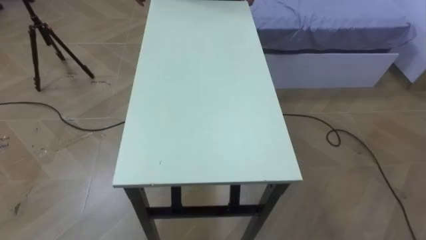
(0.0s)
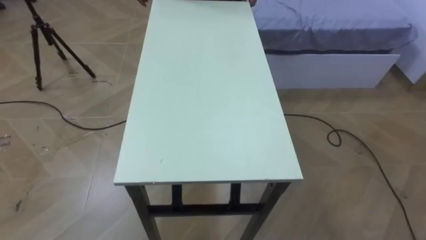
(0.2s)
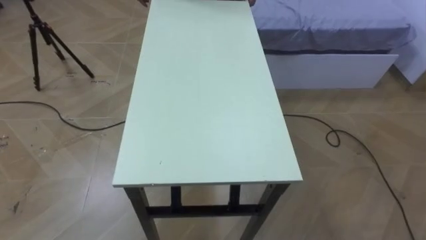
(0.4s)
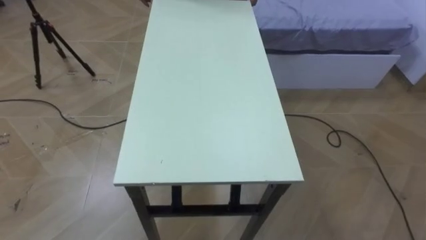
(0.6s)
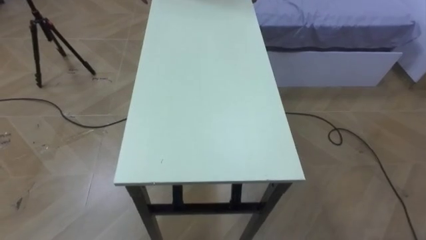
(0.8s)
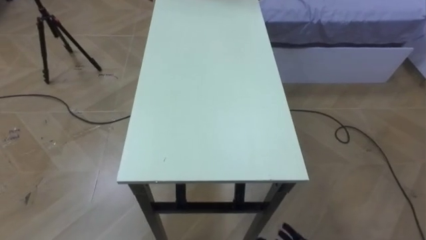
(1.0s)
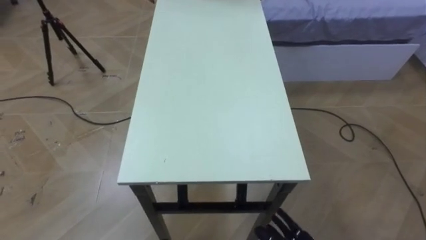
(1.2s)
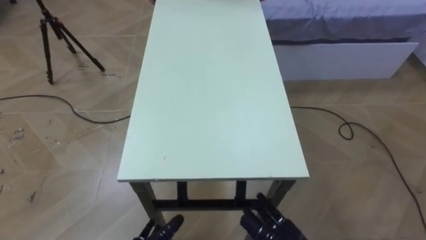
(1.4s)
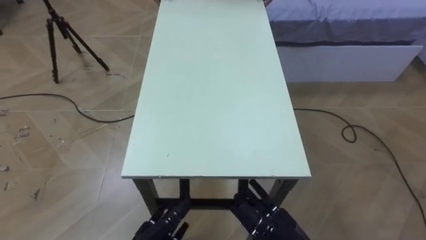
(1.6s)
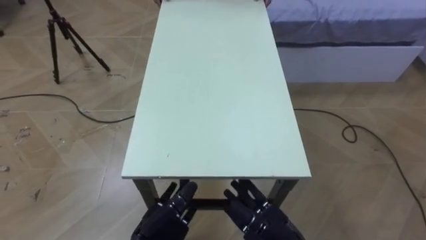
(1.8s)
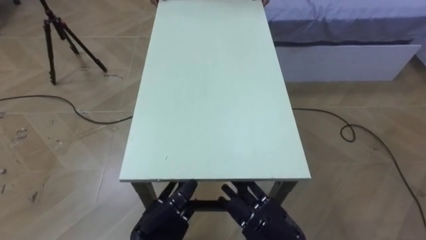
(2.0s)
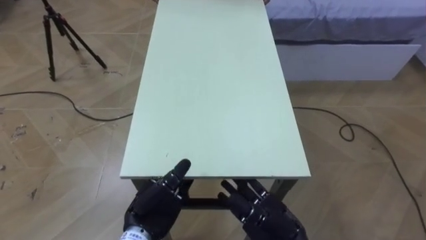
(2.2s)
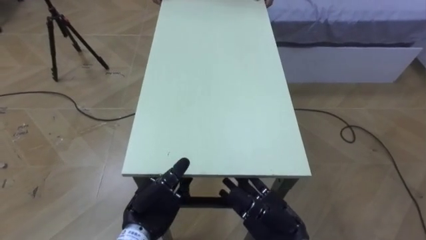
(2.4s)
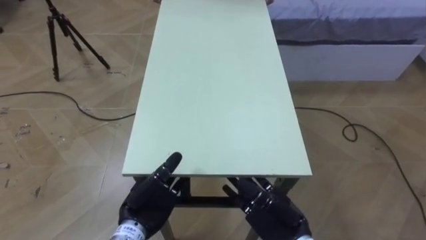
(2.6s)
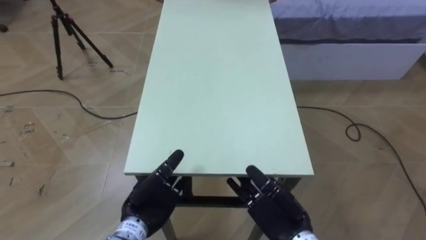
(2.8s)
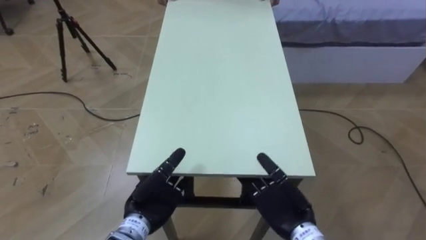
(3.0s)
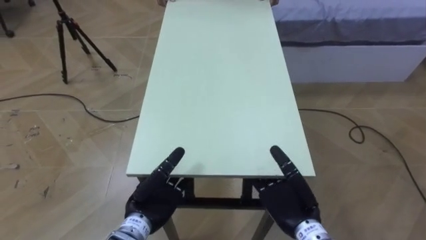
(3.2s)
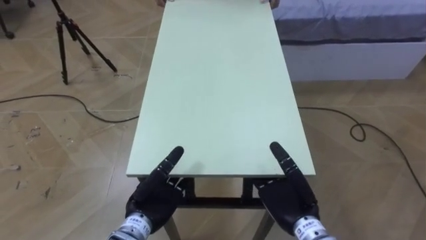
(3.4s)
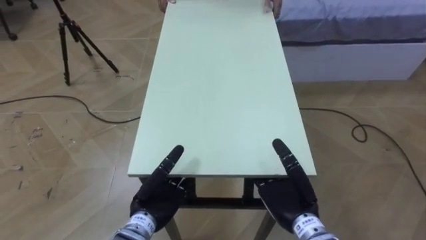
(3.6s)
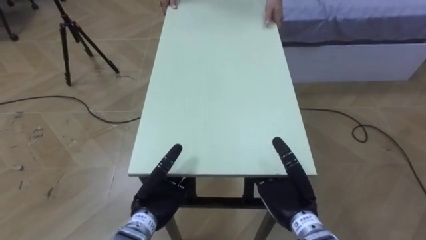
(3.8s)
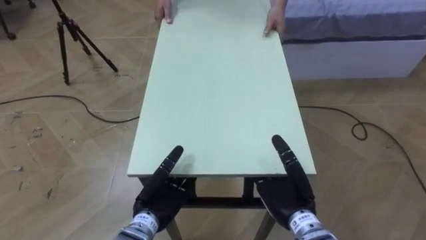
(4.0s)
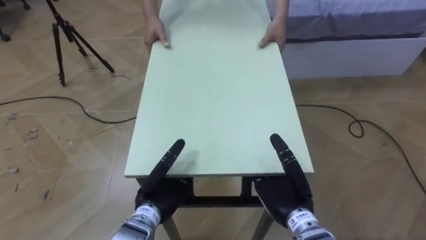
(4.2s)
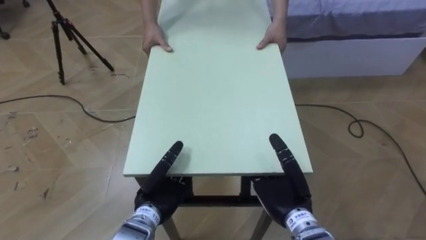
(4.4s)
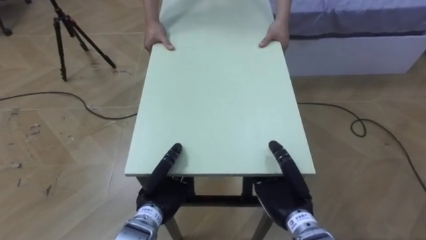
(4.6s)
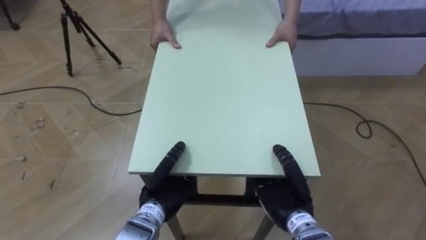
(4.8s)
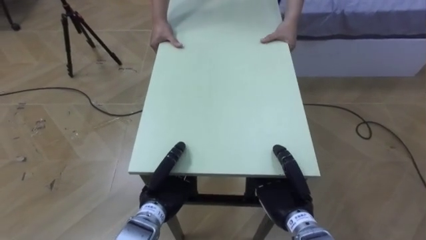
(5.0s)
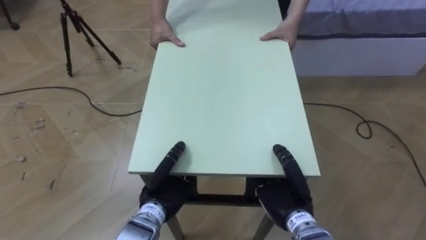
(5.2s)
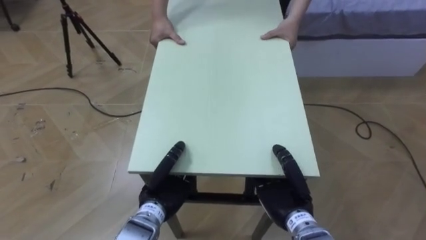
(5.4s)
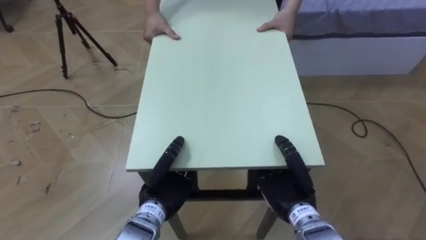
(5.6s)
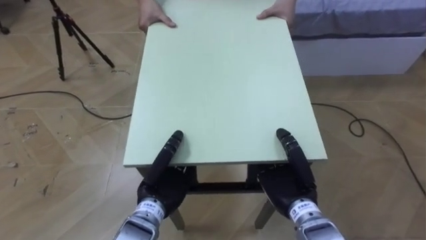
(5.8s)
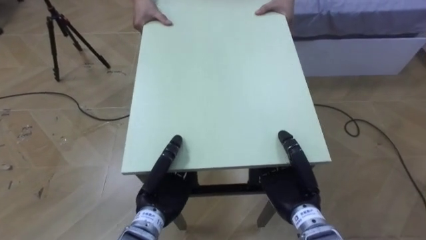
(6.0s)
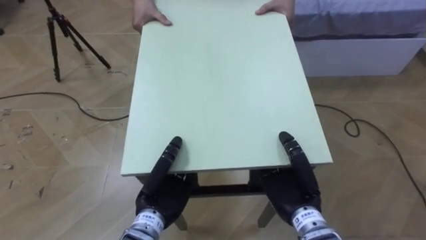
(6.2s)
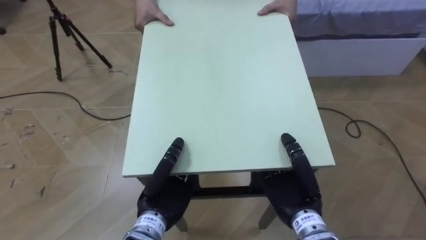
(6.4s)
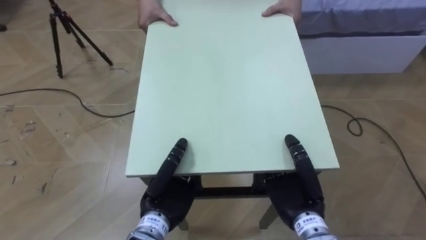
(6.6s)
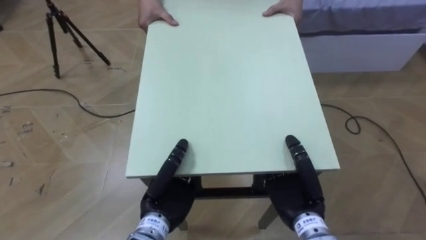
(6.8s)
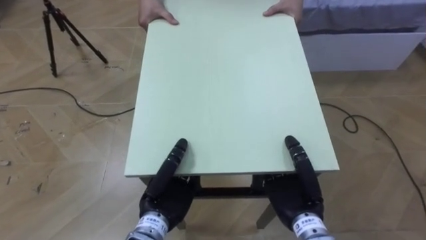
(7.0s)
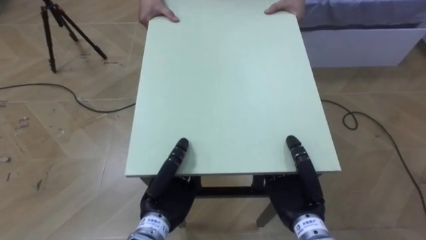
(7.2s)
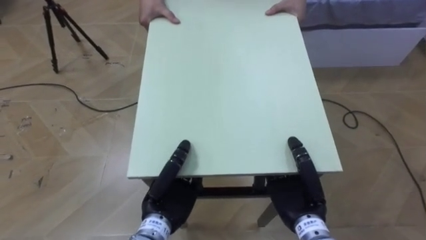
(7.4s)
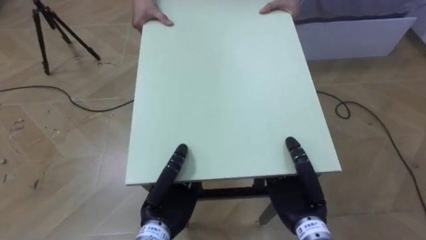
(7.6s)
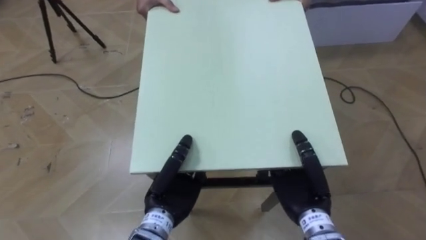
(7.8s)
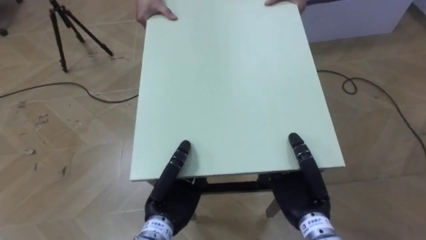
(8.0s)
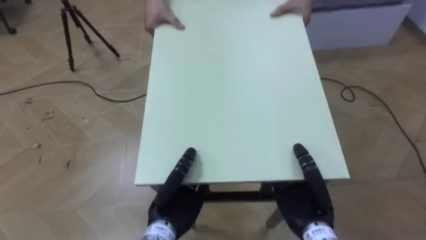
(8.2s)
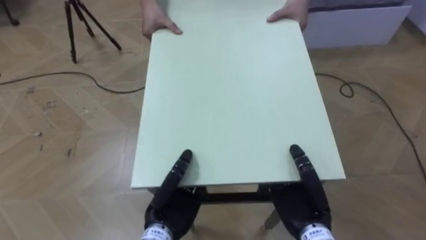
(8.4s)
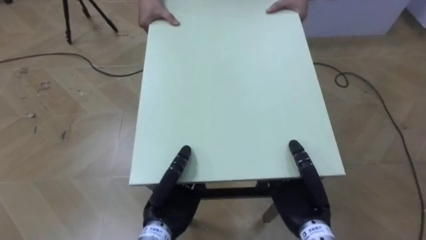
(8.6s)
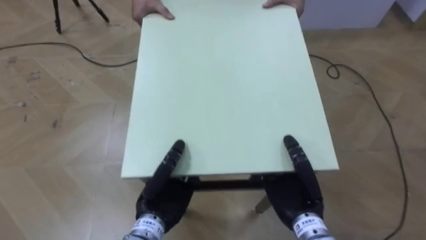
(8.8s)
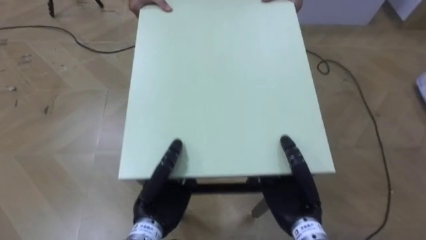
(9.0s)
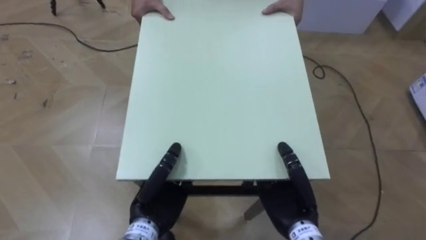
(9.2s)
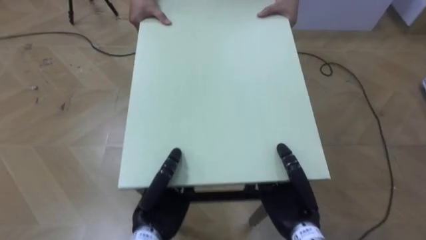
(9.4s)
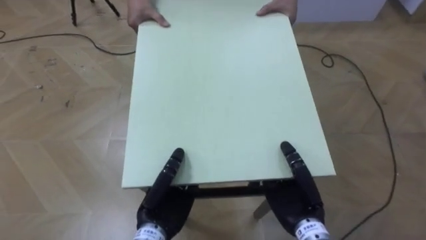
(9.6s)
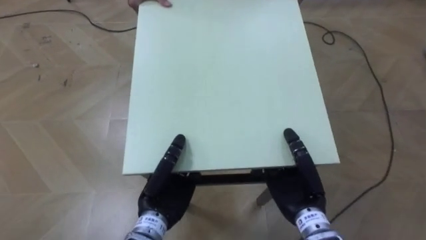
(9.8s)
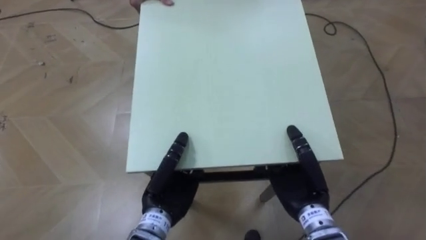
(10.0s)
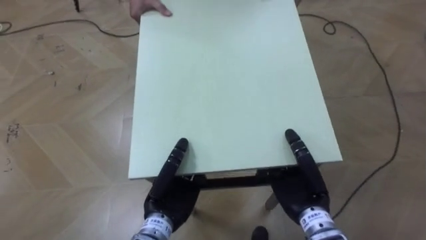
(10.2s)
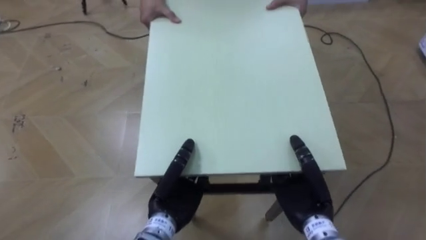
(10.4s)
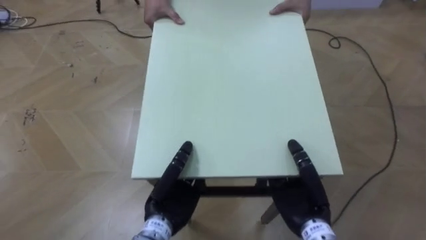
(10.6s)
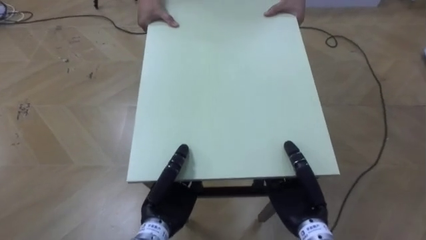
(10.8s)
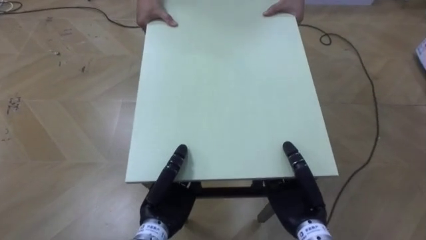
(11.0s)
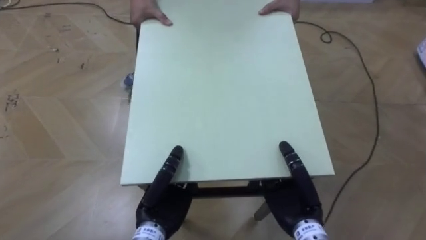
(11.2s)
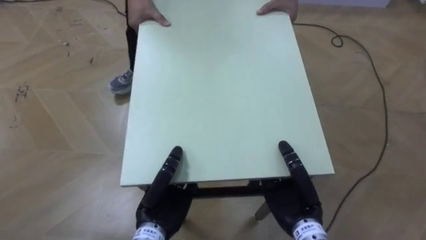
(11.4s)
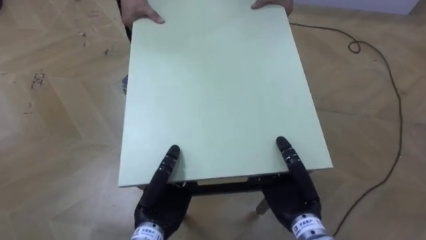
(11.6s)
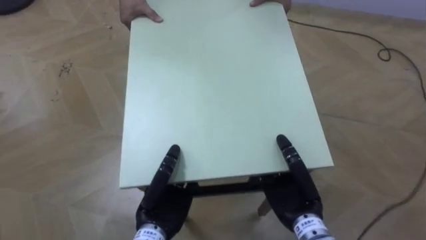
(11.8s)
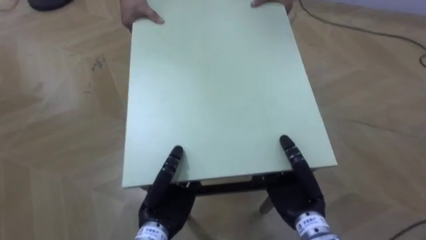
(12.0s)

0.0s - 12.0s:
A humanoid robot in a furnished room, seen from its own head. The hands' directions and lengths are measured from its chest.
Task of the whole recording: Move the table to the back left with someone.
1.6s - 3.0s: The right hand shifts approximately 5 cm forward.
3.0s - 4.4s: The hands make only small movements.
4.4s - 6.0s: The right hand closes. Meanwhile the left hand closes its fingers.
10.4s - 12.0s: The robot turns to its left by roughly 15 degrees.

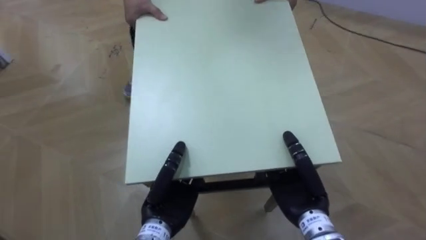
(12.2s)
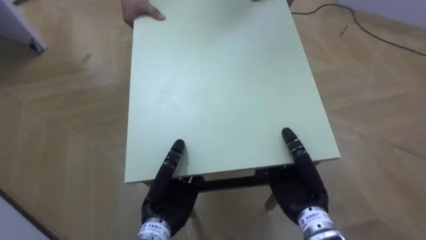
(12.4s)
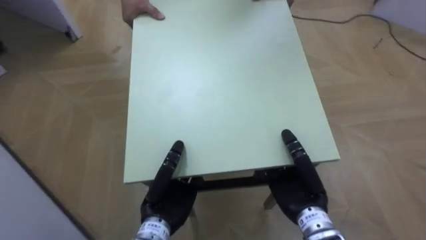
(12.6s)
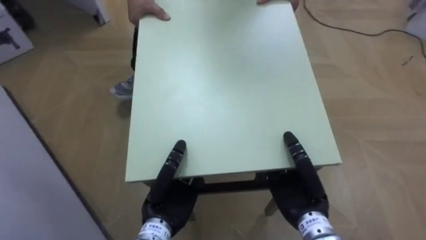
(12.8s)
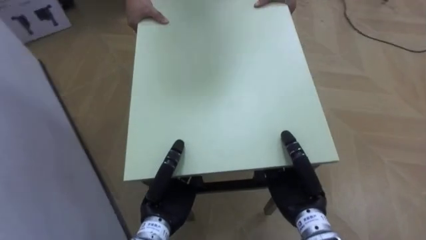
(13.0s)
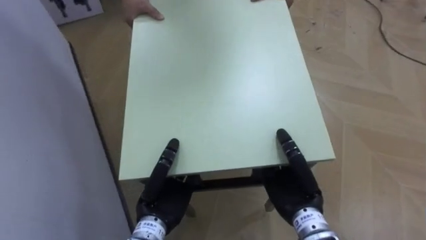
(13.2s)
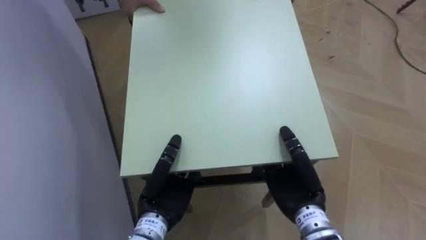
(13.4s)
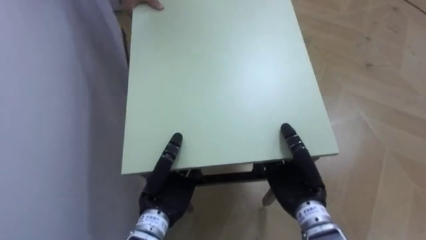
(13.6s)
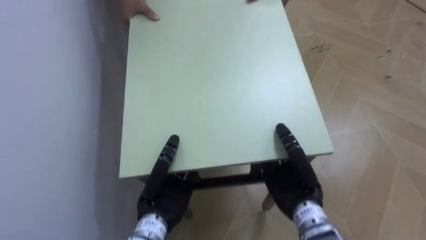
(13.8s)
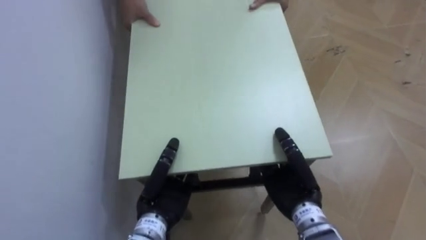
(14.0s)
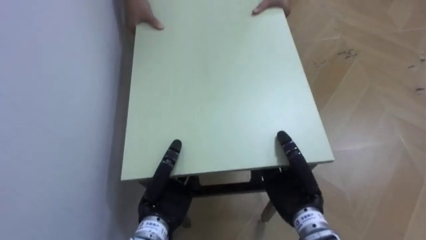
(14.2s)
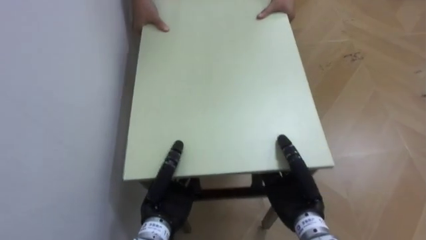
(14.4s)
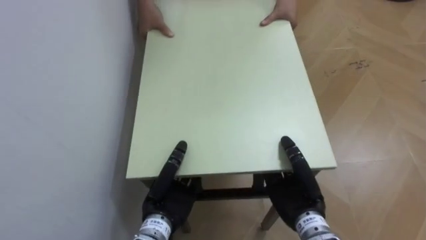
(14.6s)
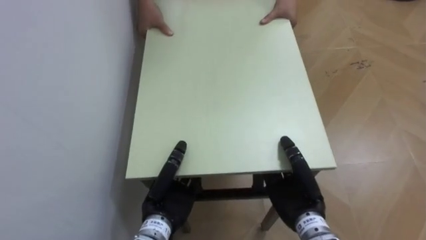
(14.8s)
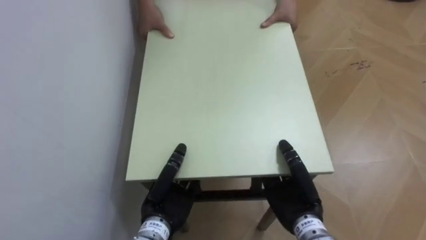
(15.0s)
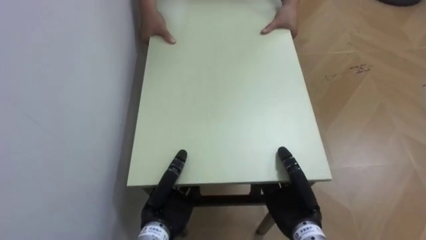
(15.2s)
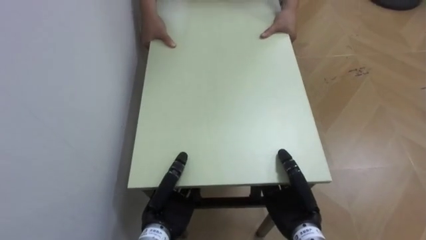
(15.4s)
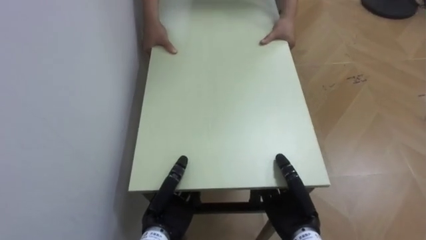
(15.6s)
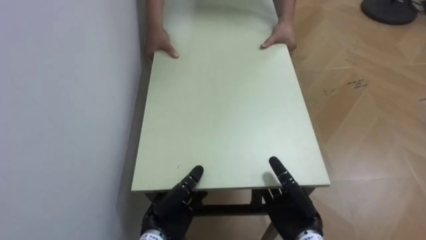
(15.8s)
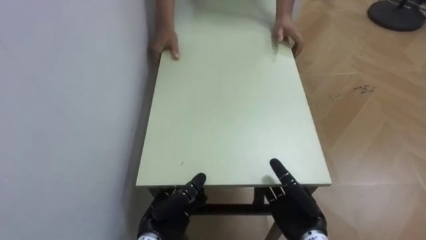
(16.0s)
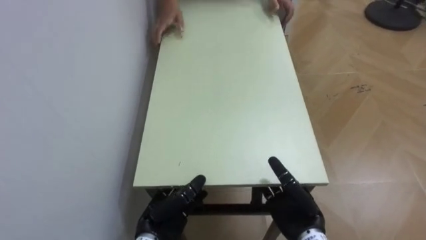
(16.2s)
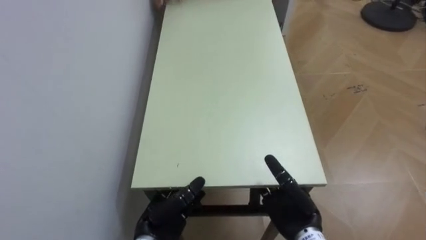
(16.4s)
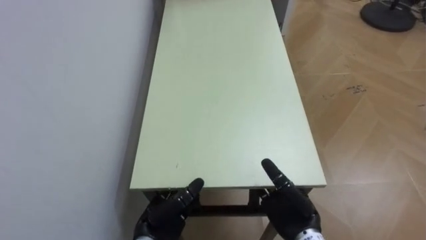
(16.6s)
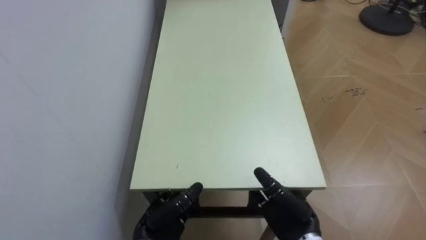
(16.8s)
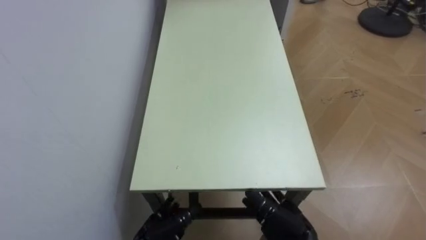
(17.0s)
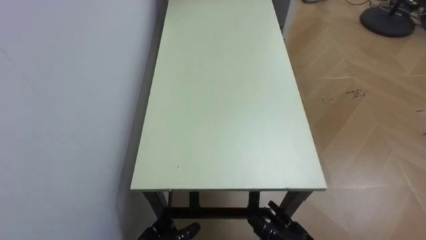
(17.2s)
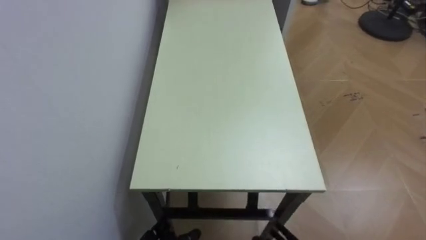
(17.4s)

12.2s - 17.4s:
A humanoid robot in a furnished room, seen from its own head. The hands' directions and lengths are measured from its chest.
Task of the whole recording: Move the table to the back left with someone.
12.2s - 14.0s: The robot turns to its left by approximately 55 degrees.
14.0s - 15.6s: The right hand is displaced downward by about 5 cm.
